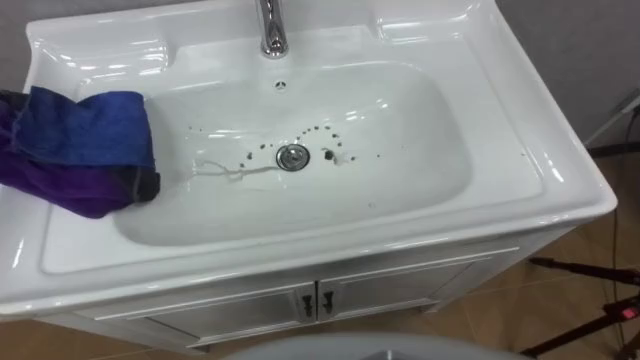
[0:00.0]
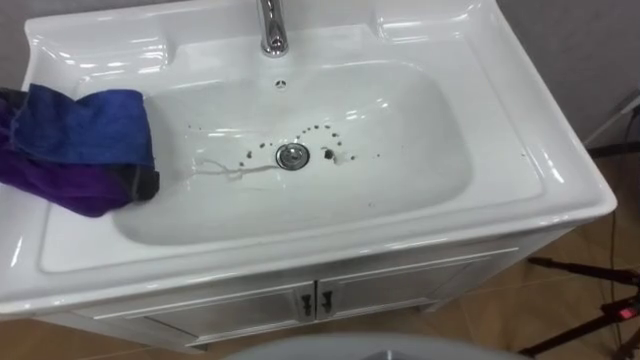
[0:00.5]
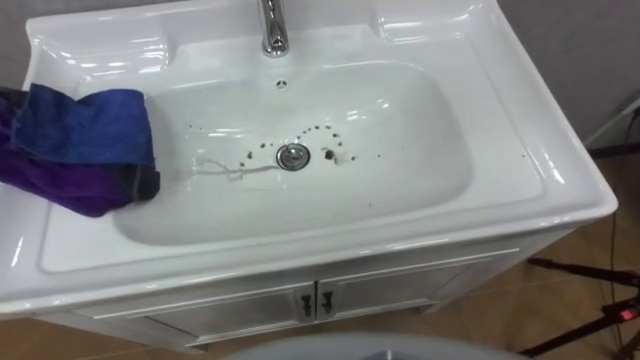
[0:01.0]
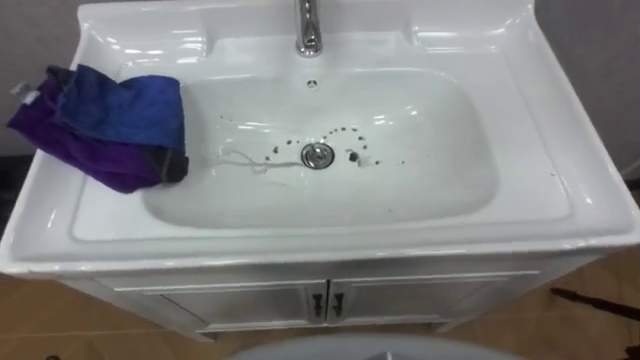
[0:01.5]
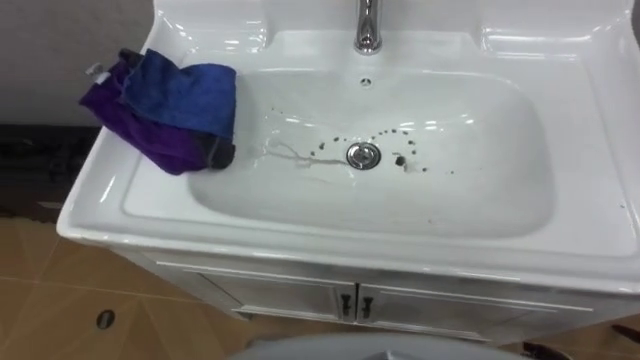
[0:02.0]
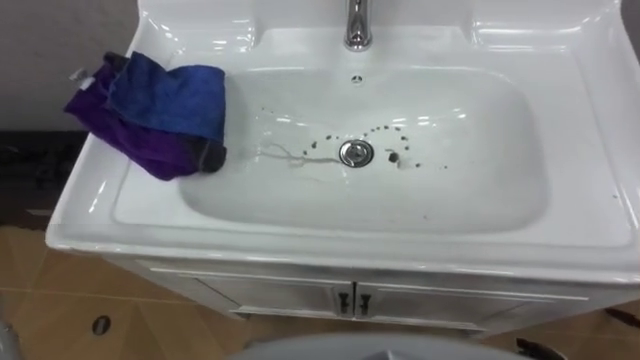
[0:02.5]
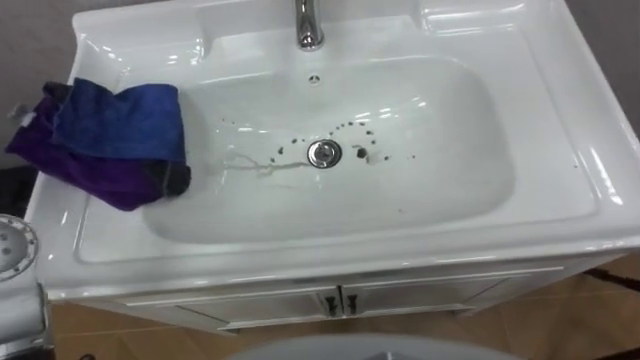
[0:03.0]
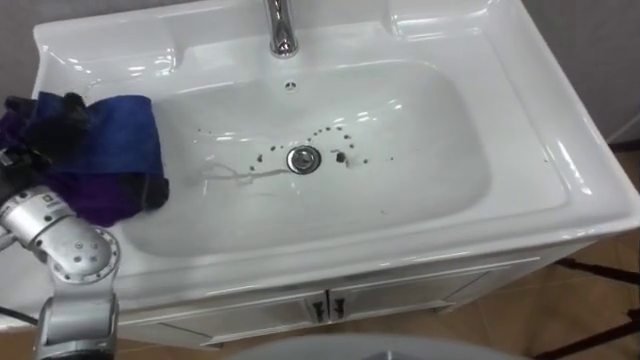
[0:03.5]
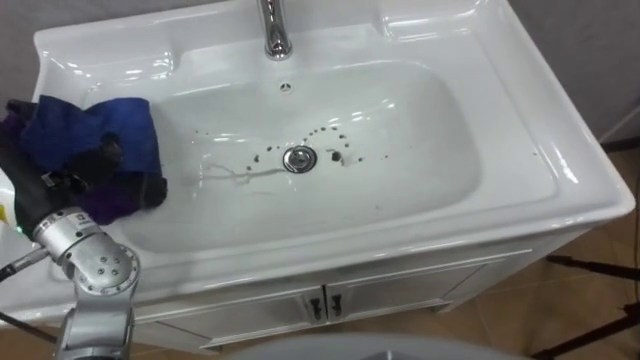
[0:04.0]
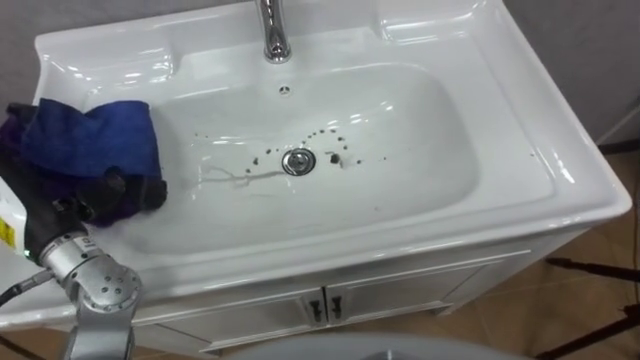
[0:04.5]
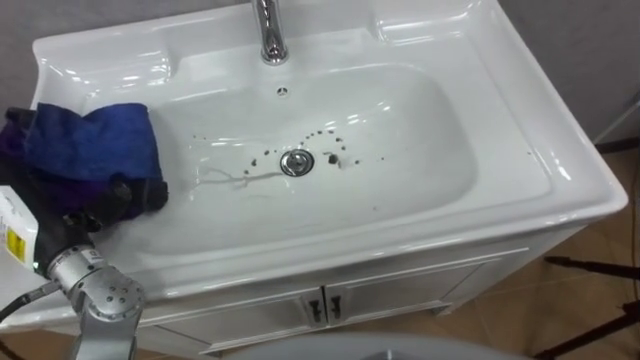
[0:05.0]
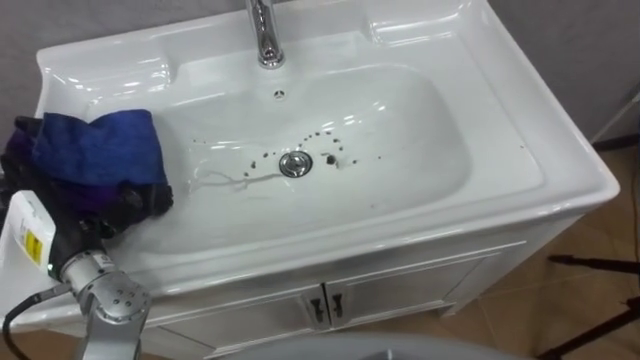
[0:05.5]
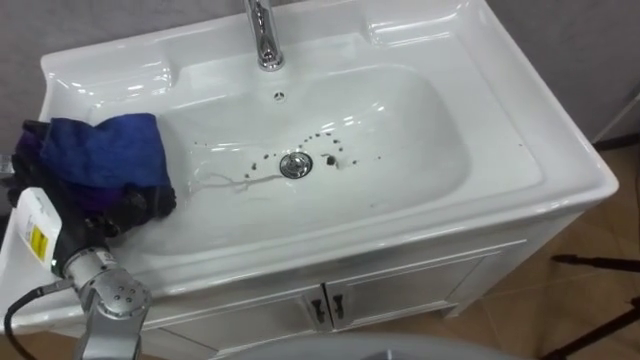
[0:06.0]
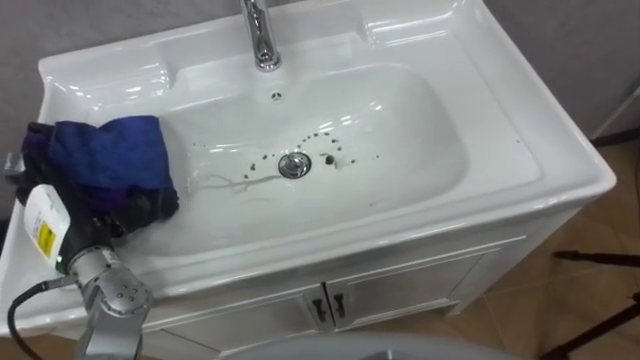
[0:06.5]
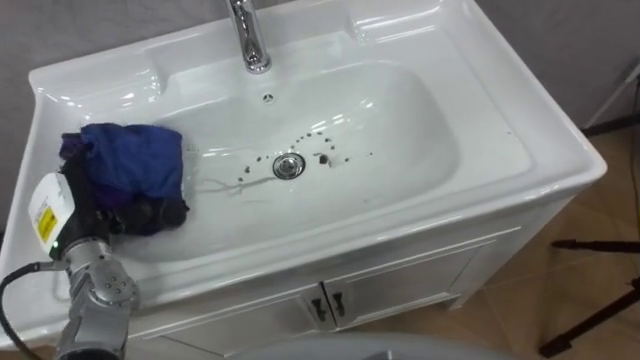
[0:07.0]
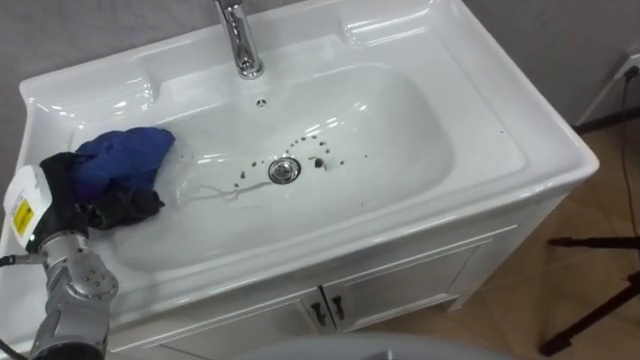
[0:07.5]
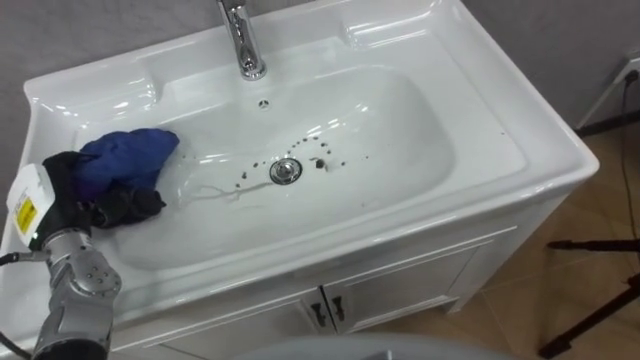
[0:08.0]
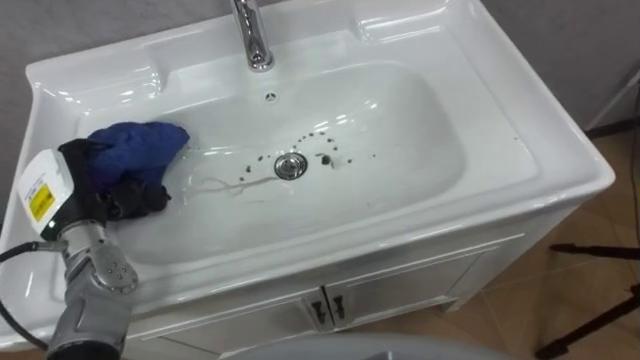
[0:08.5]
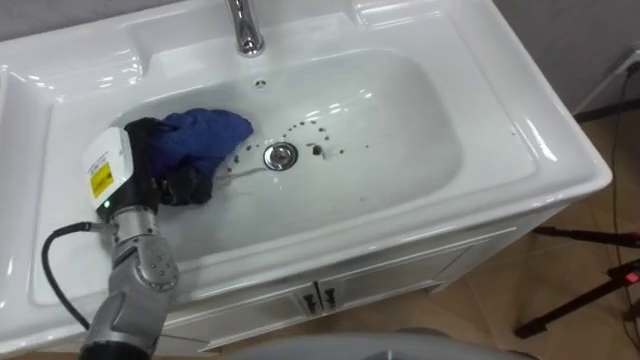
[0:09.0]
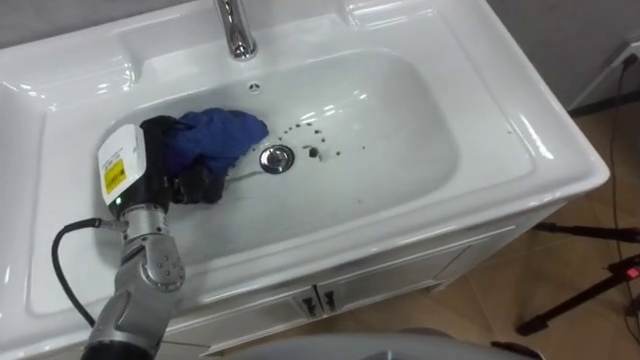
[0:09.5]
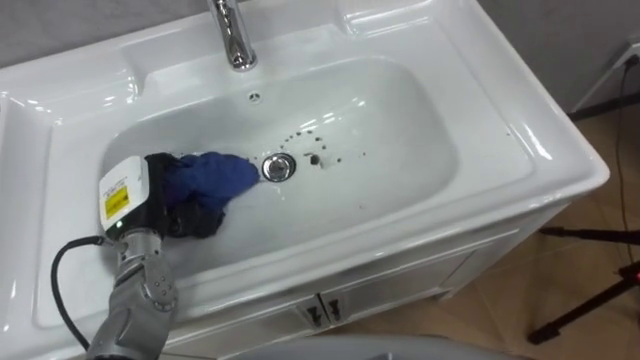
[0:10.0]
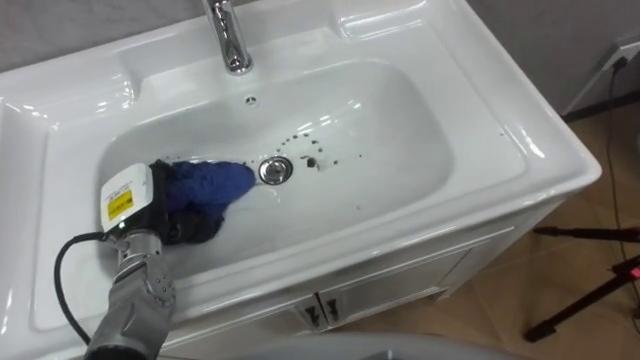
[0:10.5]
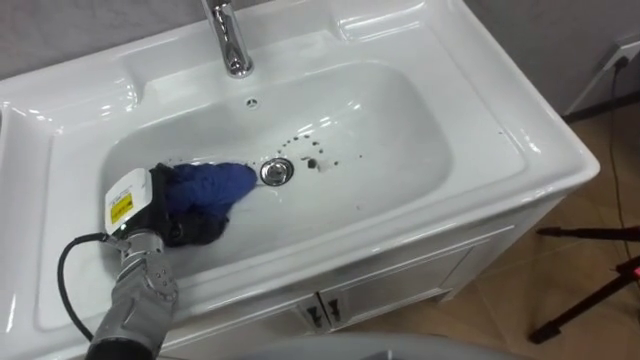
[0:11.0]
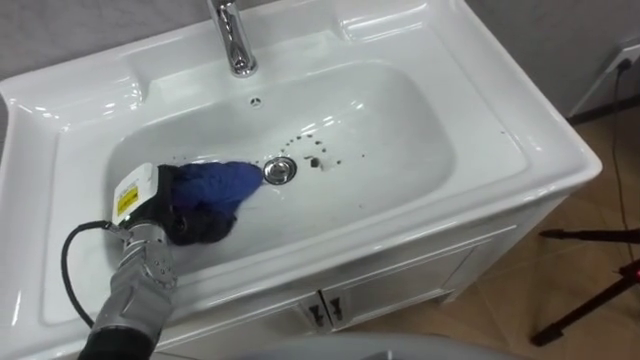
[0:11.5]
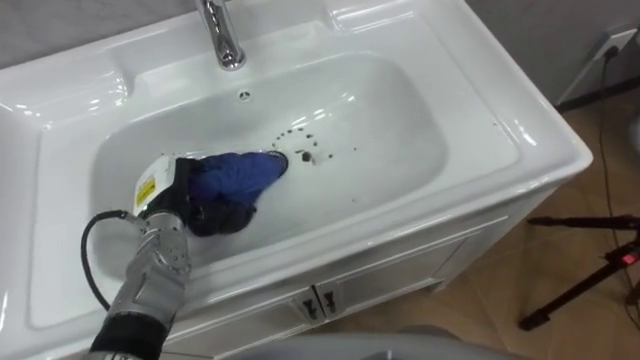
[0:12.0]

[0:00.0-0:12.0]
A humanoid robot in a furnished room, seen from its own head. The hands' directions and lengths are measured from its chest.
Task of the whole recording: Use the cloth on the right to wipe away the black stain in the sink.
0:04.0 to 0:06.0: The left hand moves downward, roughly 10 cm.
0:06.0 to 0:08.0: The left hand closes.
0:08.0 to 0:10.0: The left hand moves to the right, about 10 cm.
0:10.0 to 0:12.0: The left hand ends up roughly 5 cm from where it was.

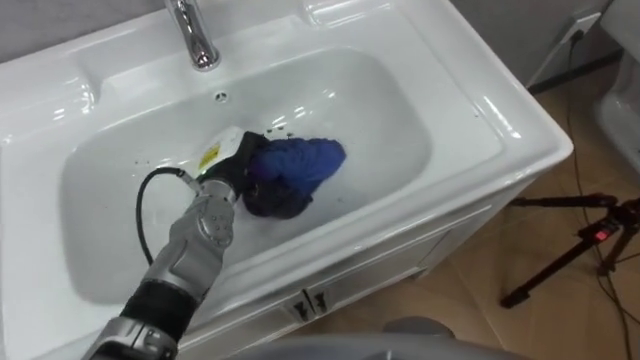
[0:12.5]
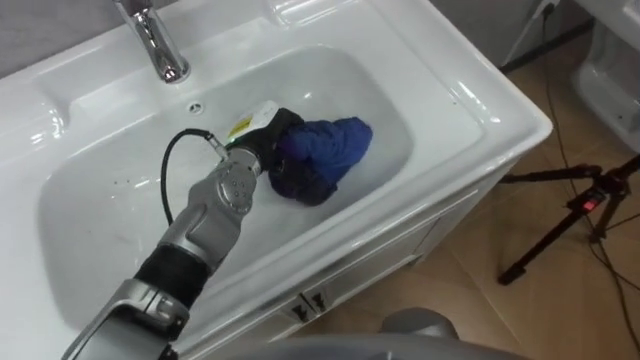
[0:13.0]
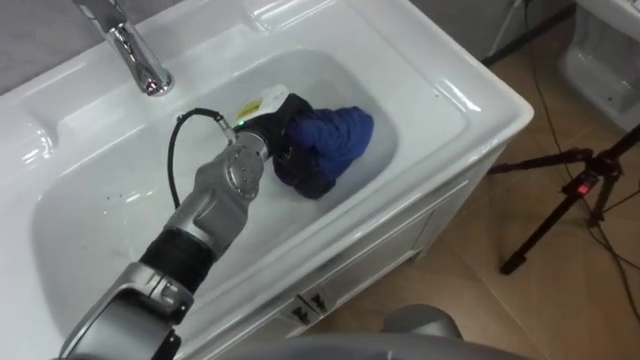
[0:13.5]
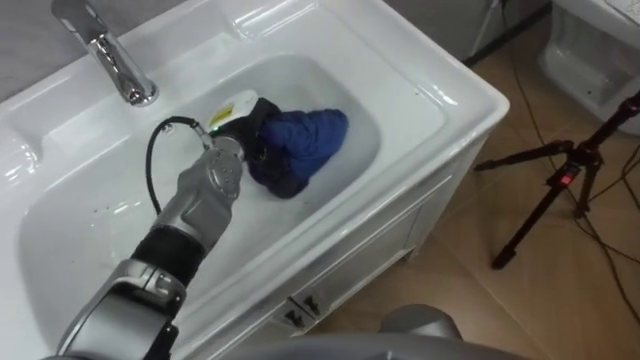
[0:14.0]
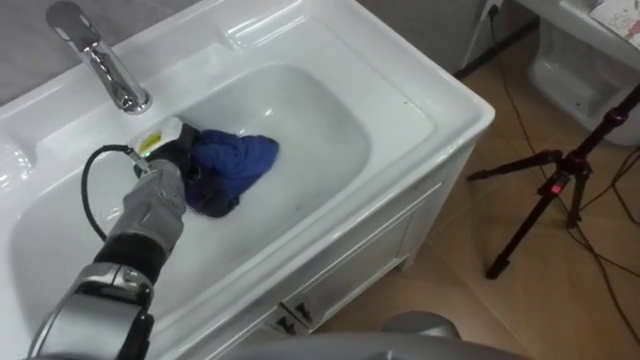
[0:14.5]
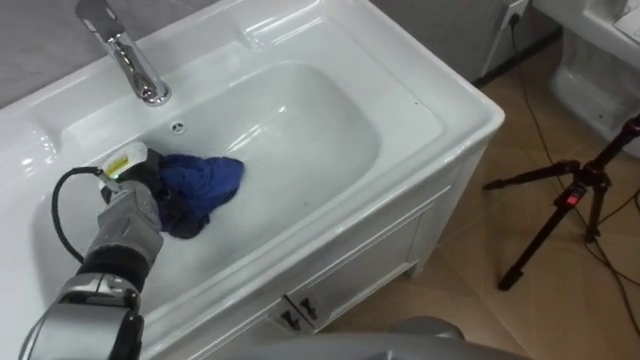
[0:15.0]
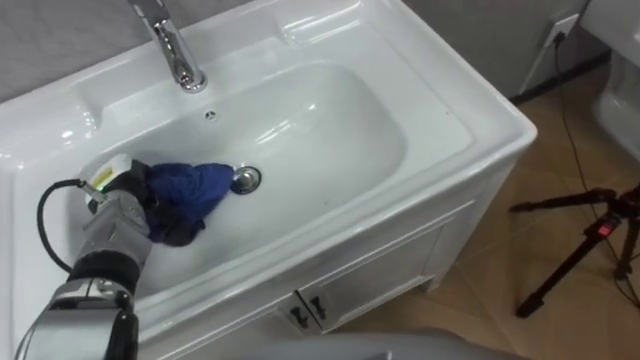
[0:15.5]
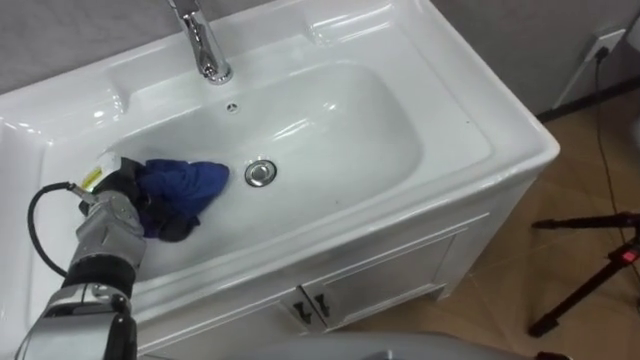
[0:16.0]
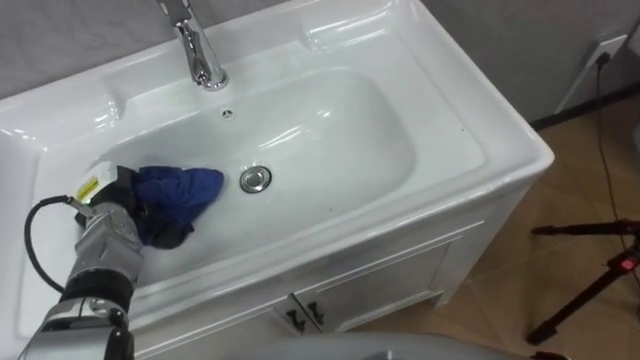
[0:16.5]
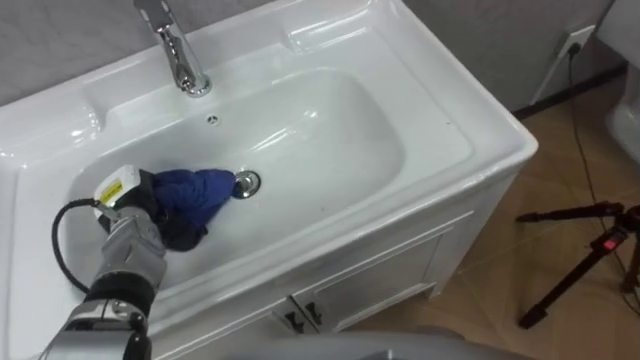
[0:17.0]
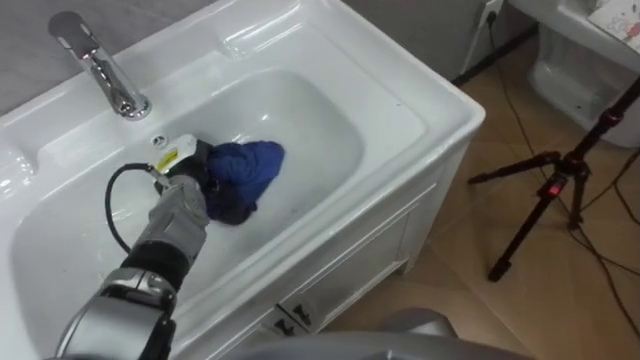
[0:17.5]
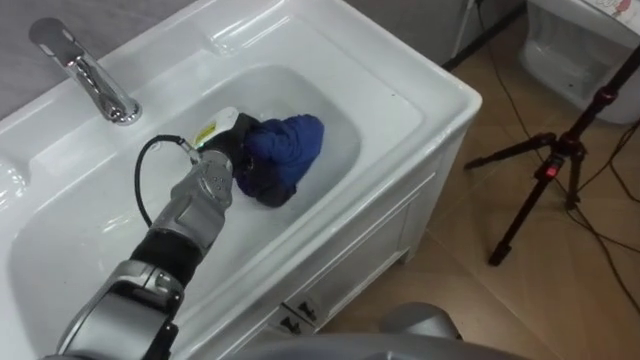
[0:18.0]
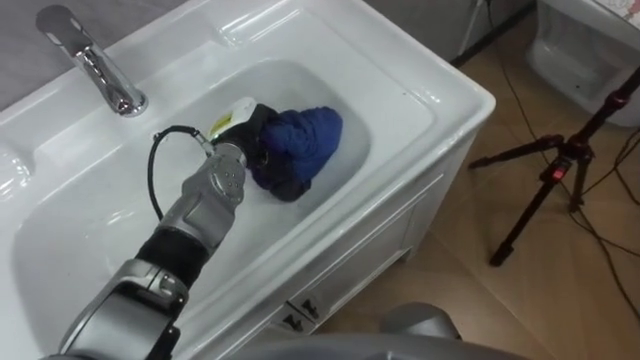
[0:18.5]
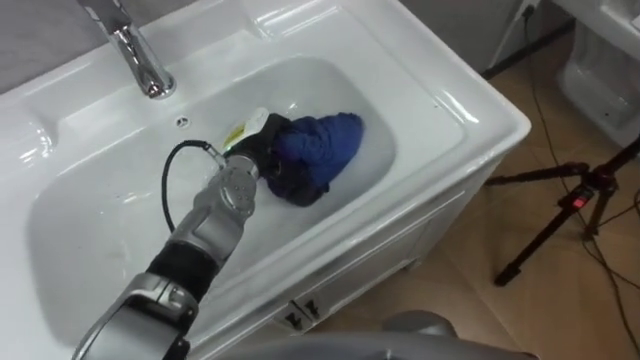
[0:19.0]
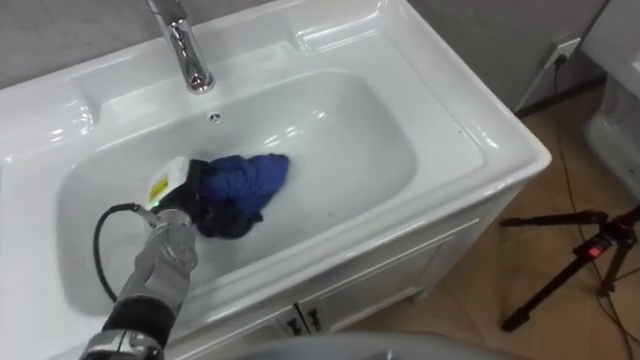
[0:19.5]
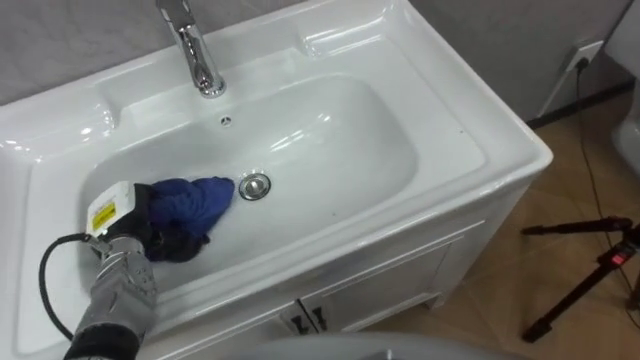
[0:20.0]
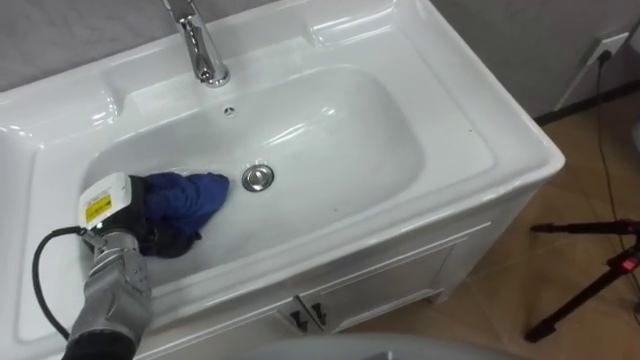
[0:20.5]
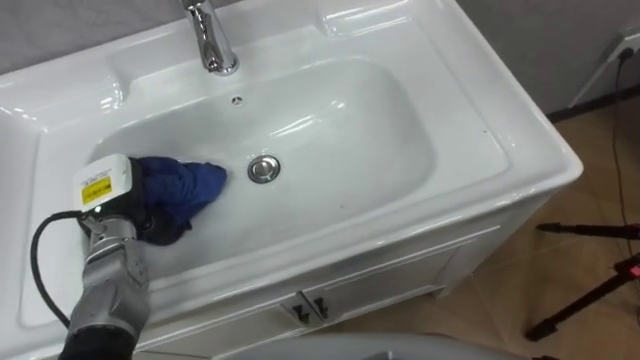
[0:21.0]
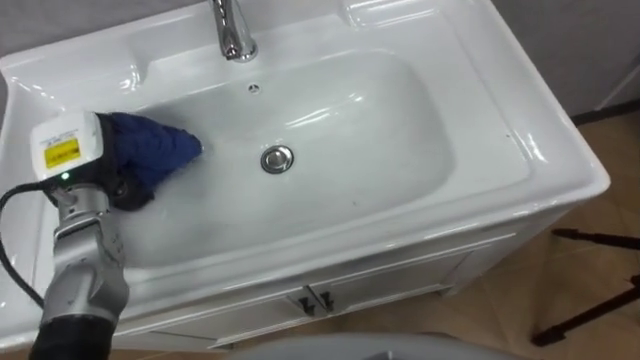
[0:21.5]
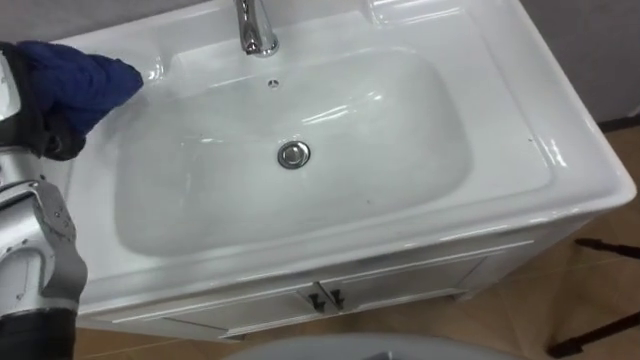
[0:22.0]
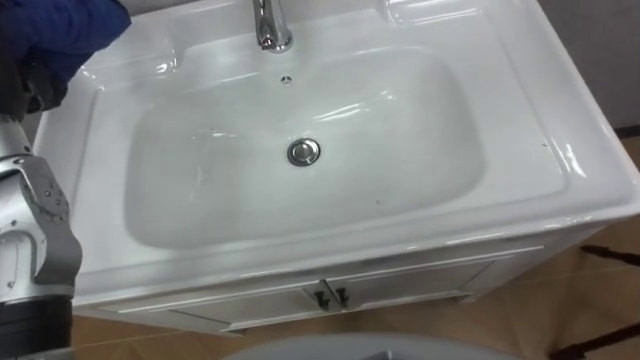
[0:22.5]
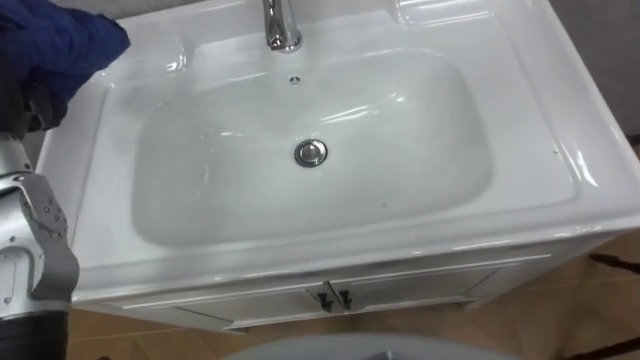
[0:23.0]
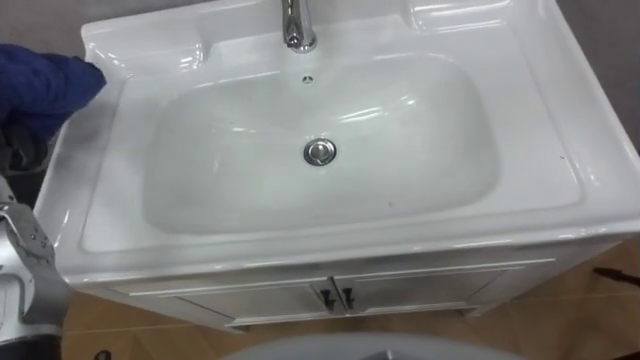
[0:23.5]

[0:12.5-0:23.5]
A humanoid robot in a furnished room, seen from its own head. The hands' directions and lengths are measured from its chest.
Task of the whole recording: Use the cloth on the right to wipe away the black stain in the sink.
0:12.5 to 0:14.5: The left hand goes roughly 10 cm to the left.
0:14.5 to 0:16.0: The left hand is displaced to the left and backward by about 10 cm.
0:16.0 to 0:18.0: The left hand is displaced to the right by some 15 cm.
0:18.0 to 0:20.0: The left hand heads to the left and backward, covering roughly 20 cm.
0:20.0 to 0:21.5: The left hand moves upward, approximately 10 cm.
